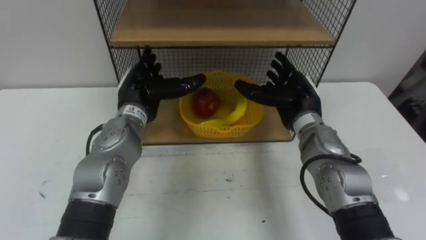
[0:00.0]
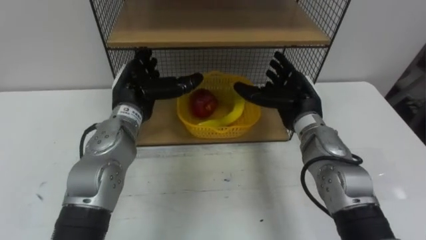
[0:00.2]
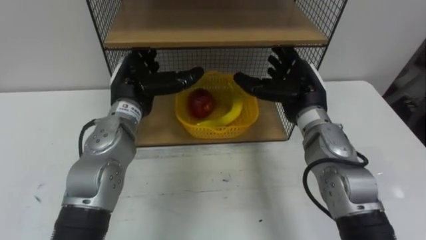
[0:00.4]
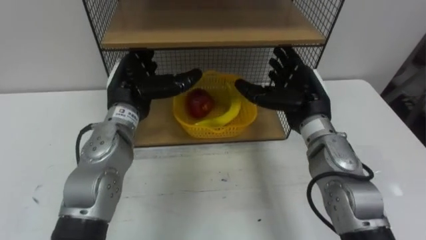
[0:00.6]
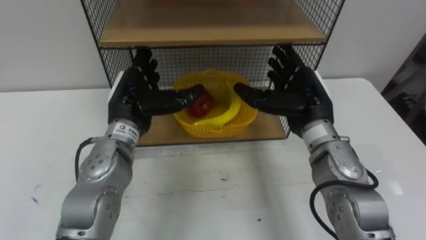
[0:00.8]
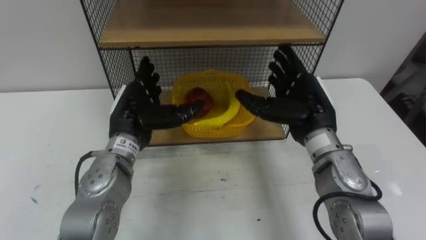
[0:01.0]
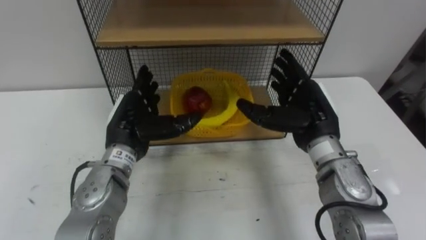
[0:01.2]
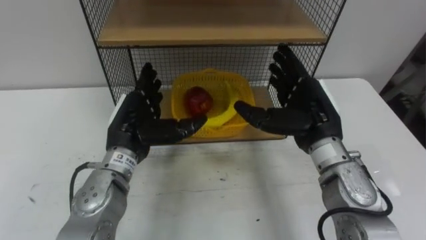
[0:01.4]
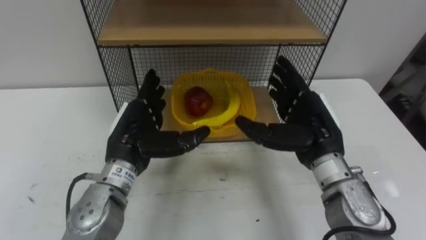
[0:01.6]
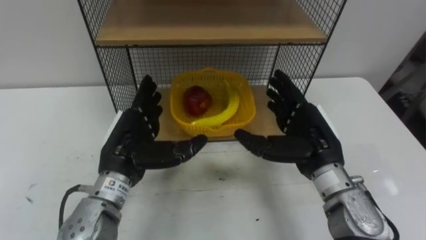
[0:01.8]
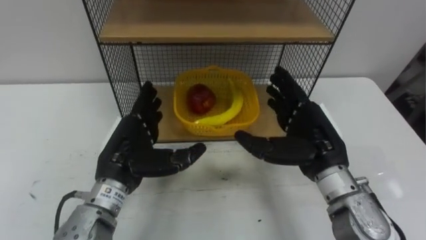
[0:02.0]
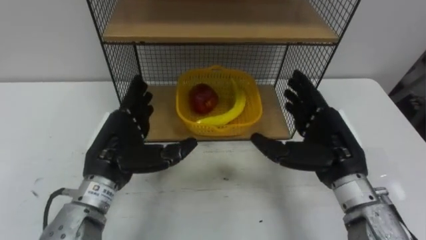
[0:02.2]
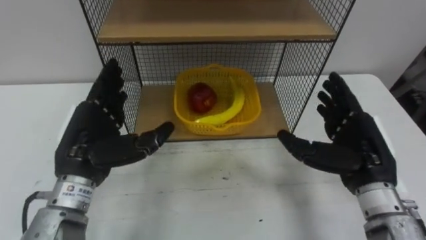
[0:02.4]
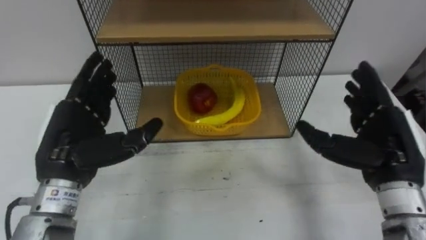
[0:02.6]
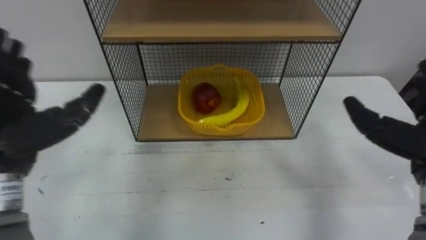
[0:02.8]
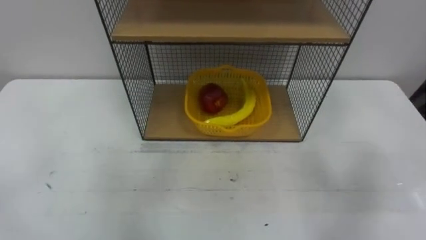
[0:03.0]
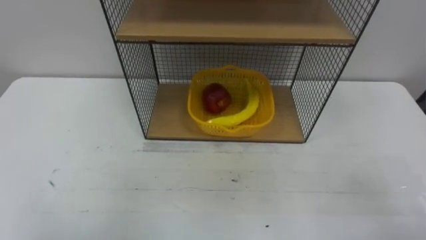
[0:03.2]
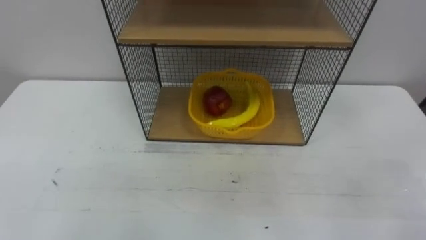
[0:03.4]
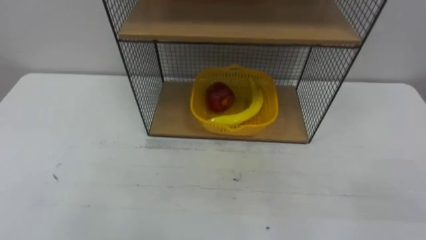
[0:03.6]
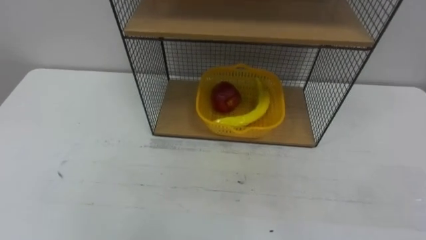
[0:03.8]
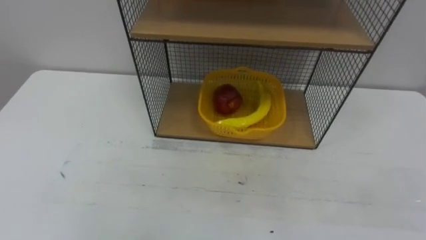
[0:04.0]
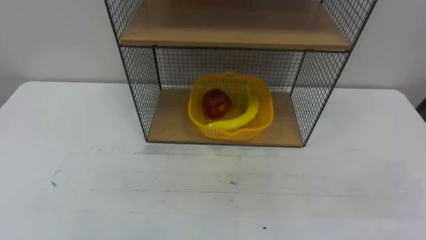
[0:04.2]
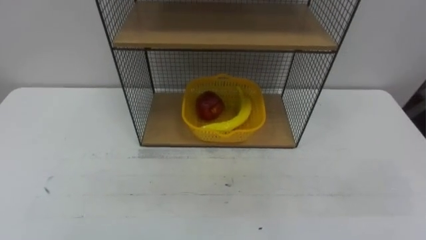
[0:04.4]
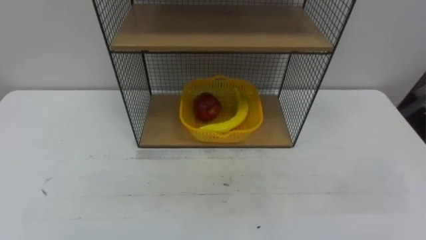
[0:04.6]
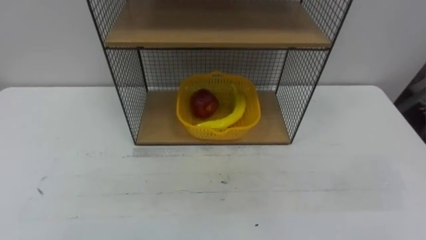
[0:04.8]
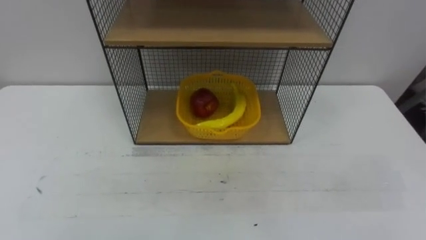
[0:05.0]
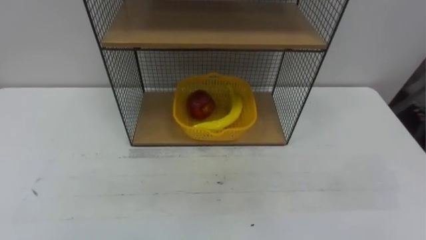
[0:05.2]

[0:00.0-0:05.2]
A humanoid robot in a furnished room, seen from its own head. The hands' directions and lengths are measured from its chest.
Task of the whole recording: Put the fruit on the table into the basket, then place the basket on the shelf.
0:00.0 to 0:01.8: The hands both shift backward by approximately 10 cm.

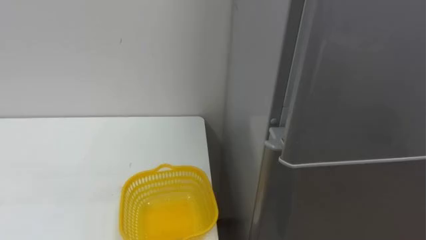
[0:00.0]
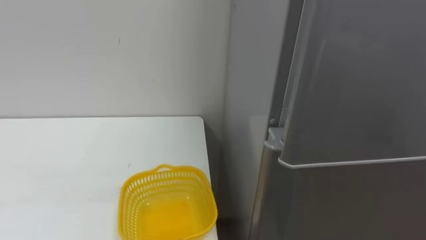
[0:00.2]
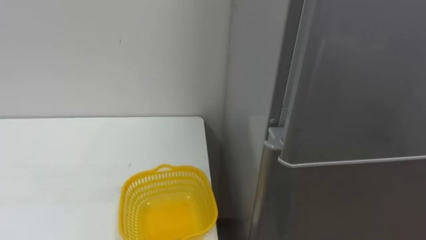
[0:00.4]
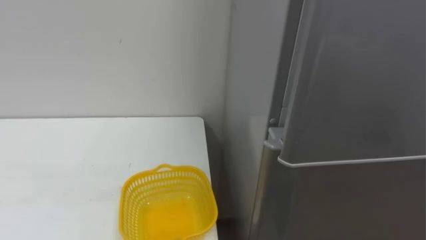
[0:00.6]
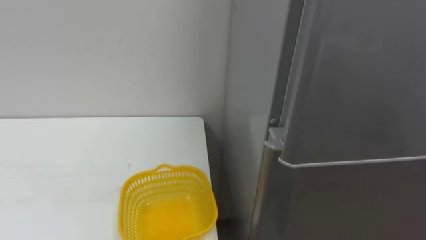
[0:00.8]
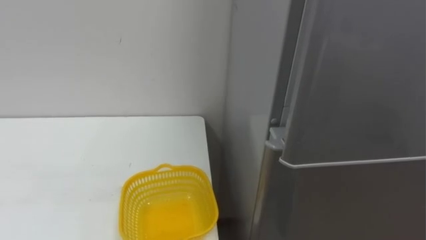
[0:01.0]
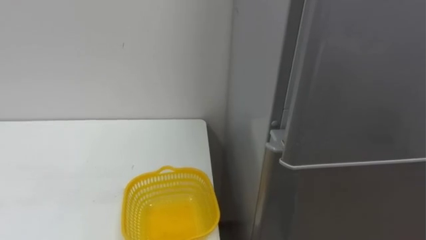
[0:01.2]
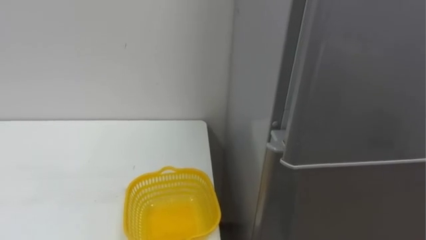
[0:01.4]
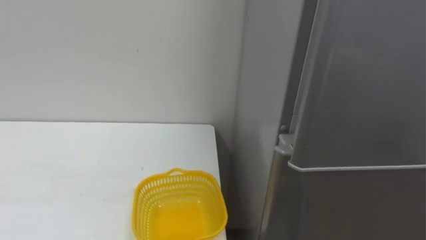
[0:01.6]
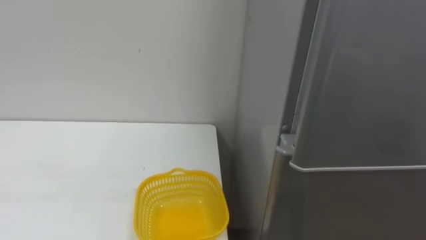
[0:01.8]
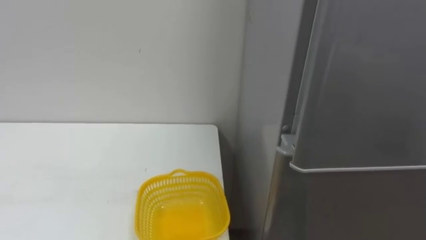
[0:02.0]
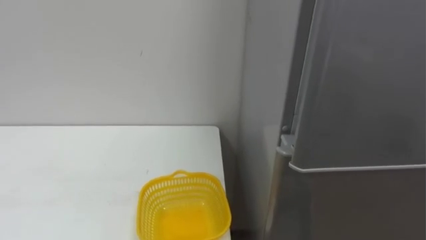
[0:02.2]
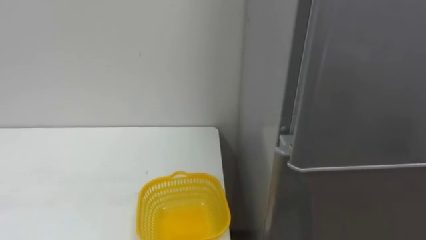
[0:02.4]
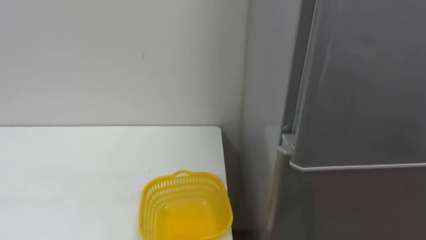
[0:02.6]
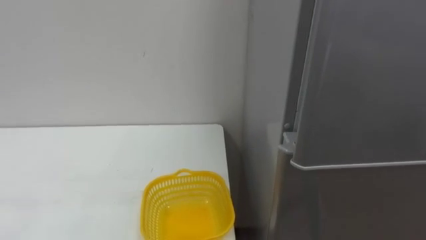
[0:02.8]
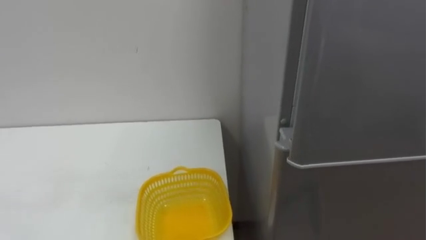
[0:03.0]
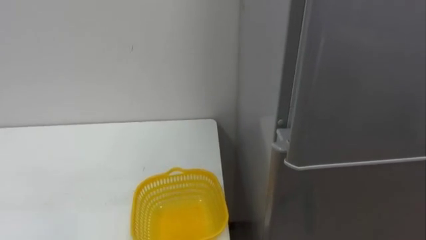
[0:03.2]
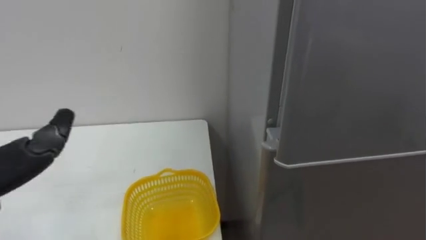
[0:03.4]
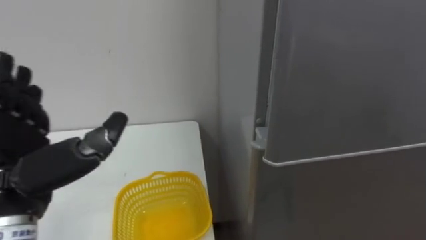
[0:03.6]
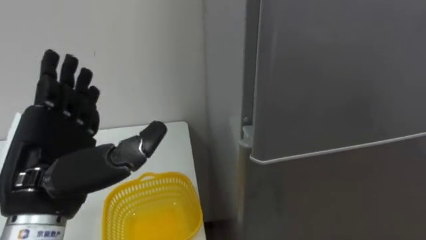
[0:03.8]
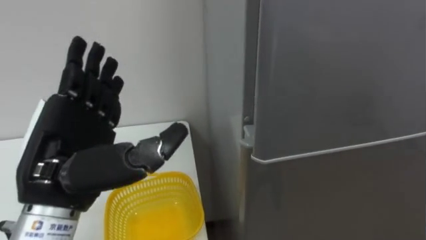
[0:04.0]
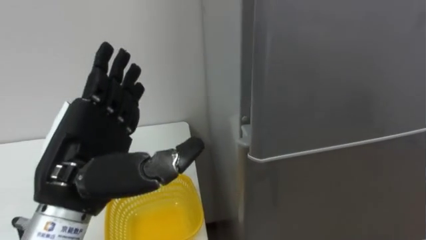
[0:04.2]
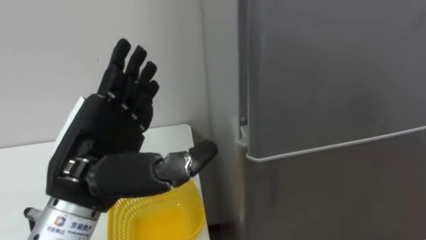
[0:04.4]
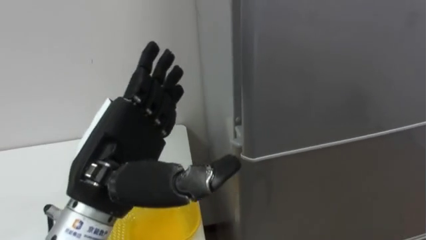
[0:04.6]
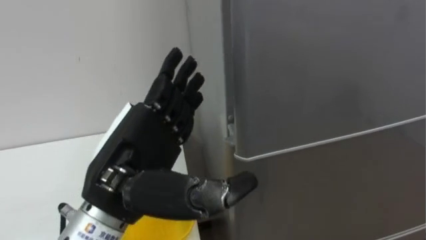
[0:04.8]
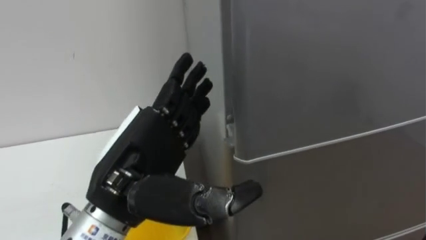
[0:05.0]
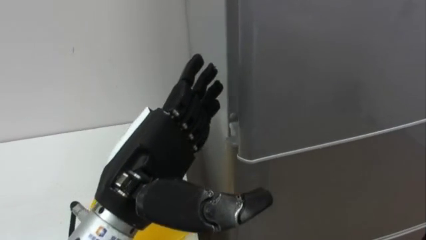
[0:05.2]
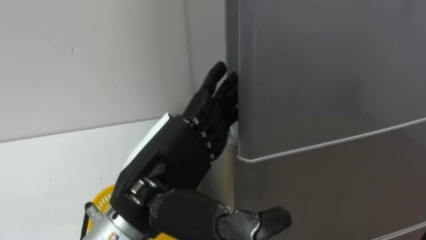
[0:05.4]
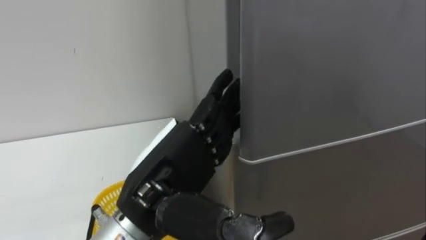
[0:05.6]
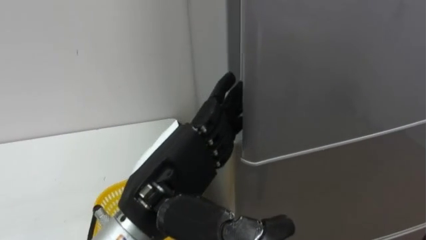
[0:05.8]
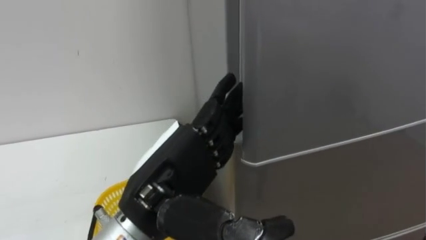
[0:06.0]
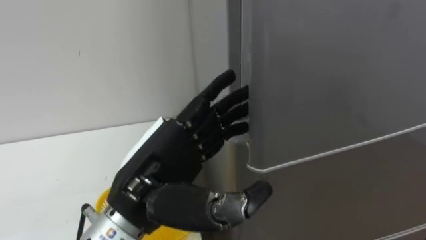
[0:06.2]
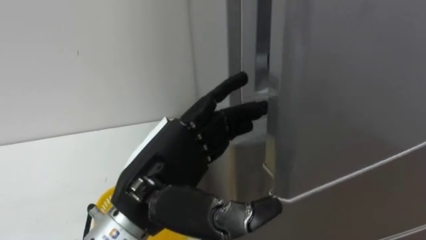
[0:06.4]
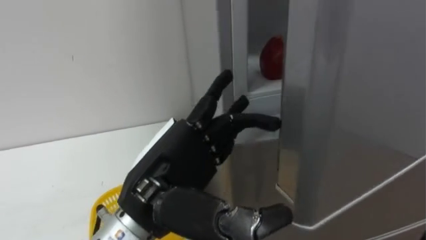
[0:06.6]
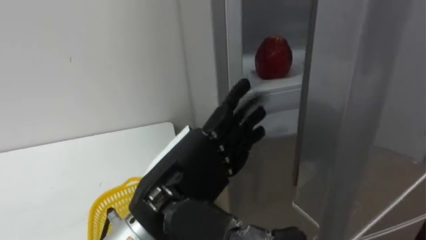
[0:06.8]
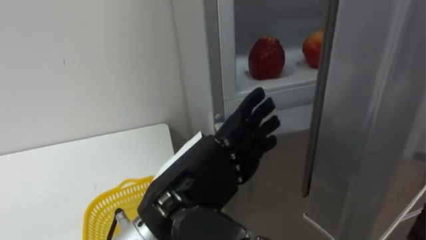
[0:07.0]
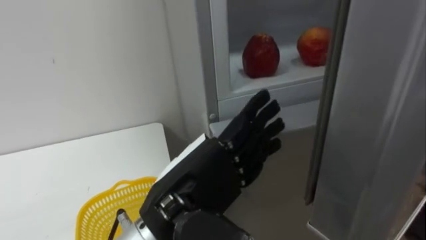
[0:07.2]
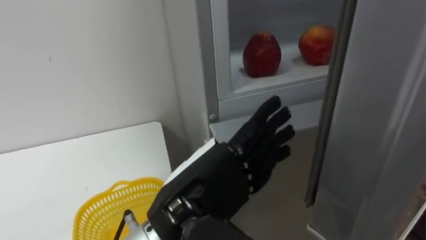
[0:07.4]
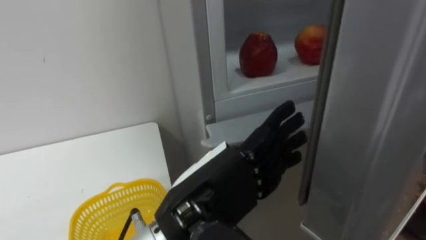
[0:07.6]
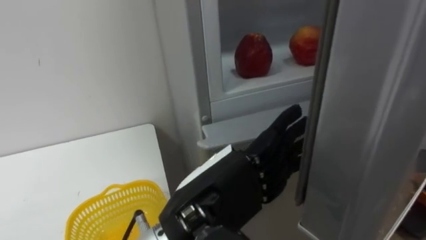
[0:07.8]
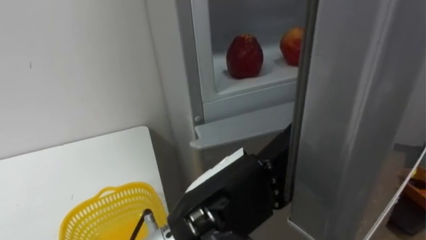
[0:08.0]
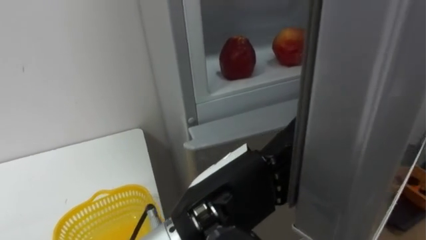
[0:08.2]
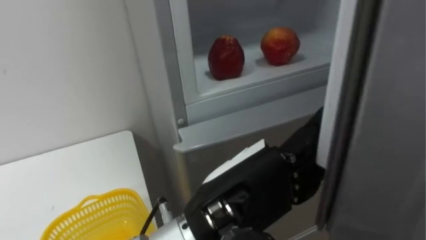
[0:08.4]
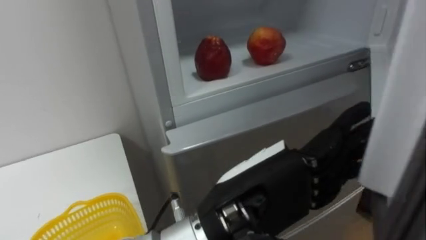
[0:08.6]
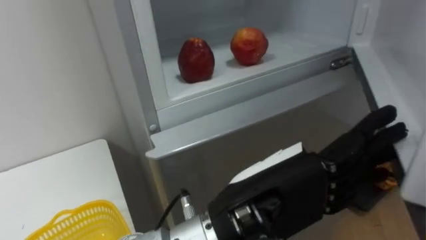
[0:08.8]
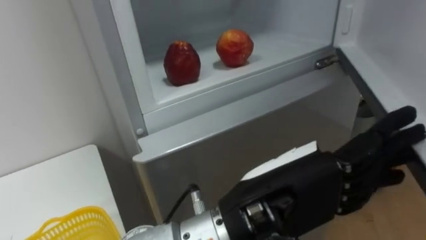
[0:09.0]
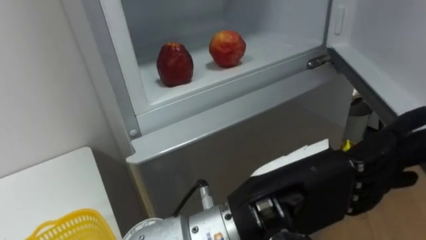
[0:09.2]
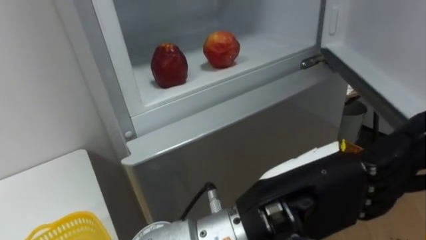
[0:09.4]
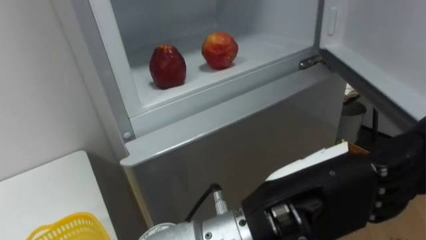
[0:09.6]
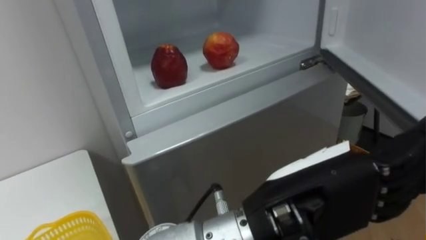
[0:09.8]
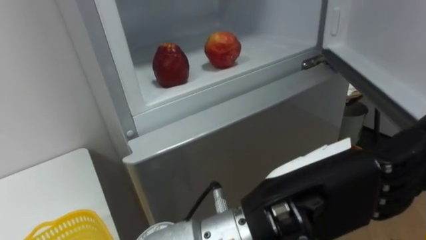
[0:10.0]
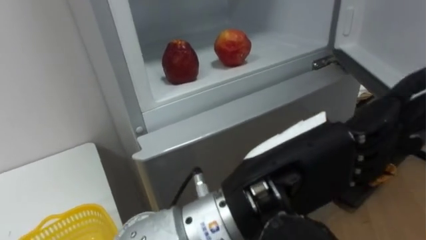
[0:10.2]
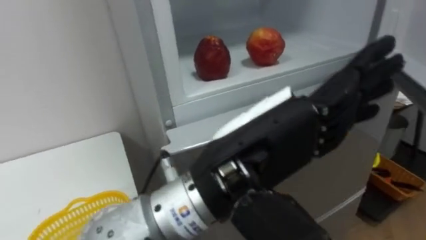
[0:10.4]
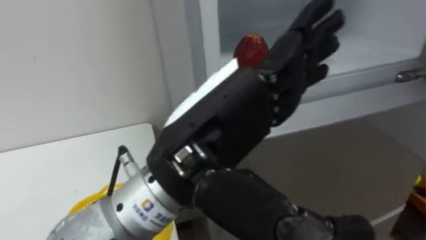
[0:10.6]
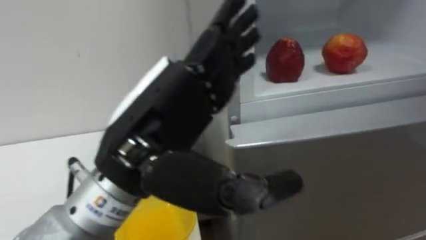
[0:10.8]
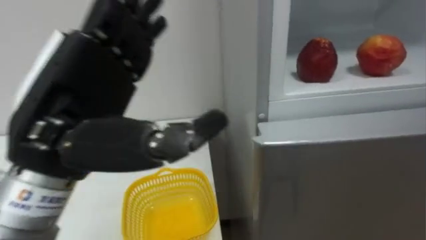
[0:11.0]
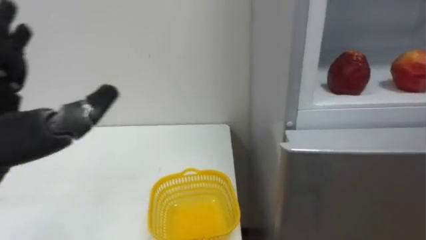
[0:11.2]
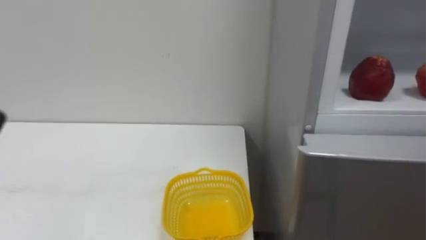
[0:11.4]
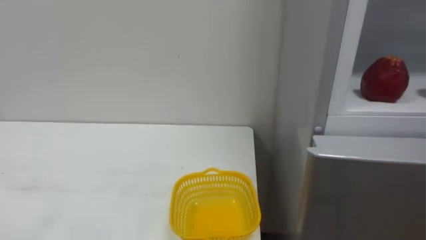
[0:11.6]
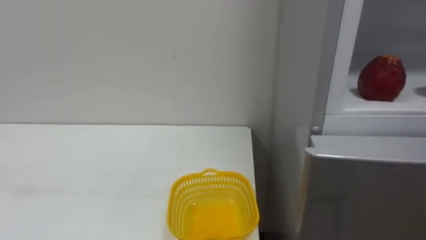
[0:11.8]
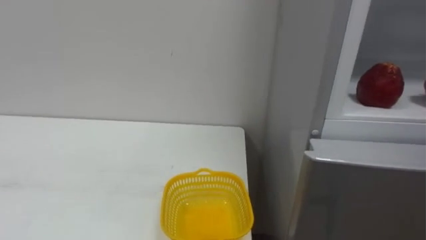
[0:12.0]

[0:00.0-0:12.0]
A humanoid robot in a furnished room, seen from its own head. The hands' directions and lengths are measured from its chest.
Task of the whole recording: Open the refrigerator door, take out the apple and the pomegranate, place them in the fruit basket on the left, and close the refrigerator door.
0:04.4 to 0:06.0: The left hand goes roughly 10 cm to the right.
0:07.6 to 0:09.0: The left hand shifts about 5 cm to the right.
